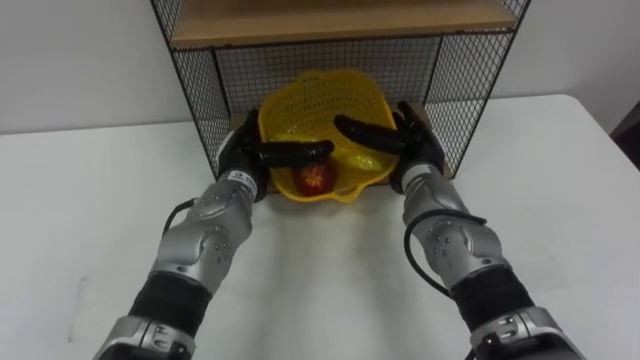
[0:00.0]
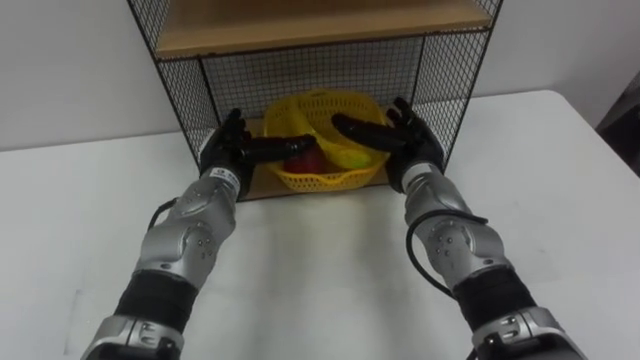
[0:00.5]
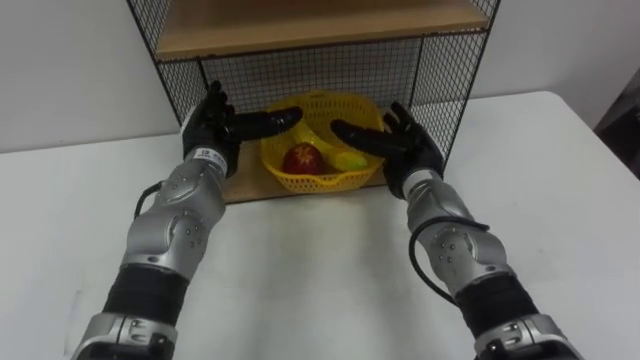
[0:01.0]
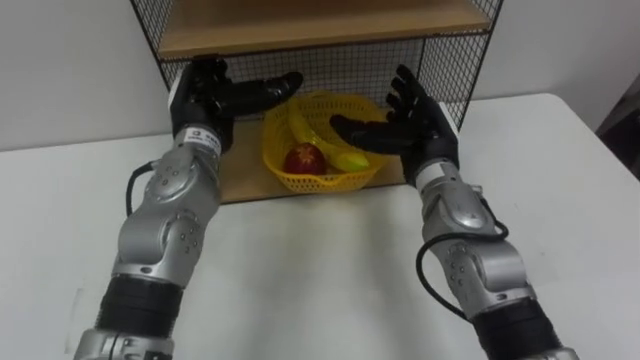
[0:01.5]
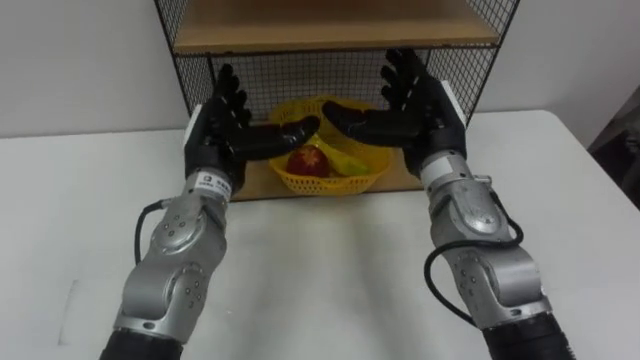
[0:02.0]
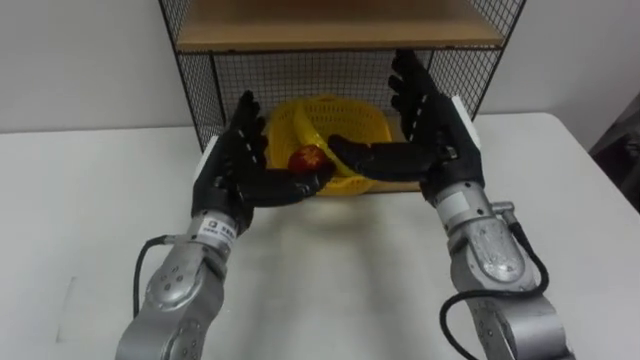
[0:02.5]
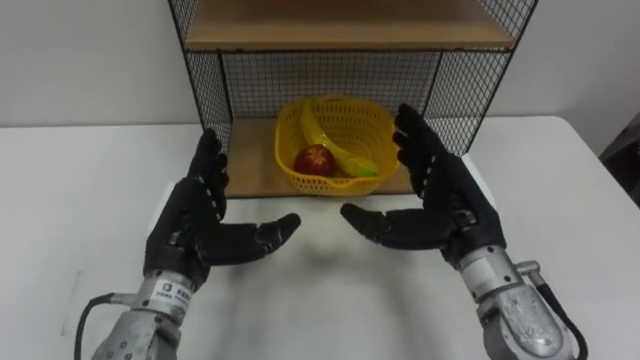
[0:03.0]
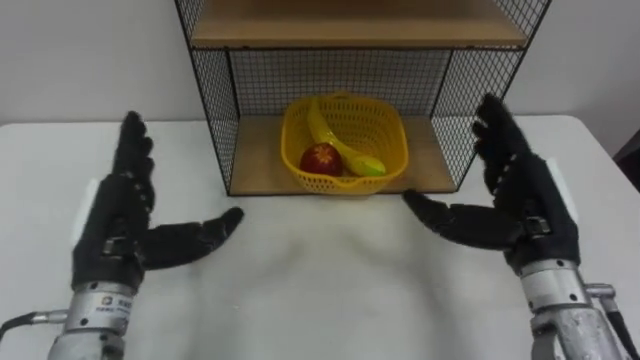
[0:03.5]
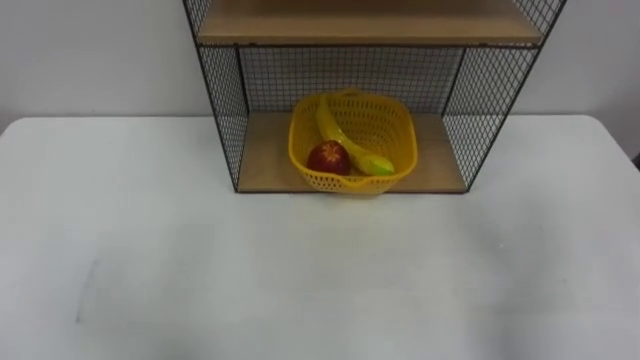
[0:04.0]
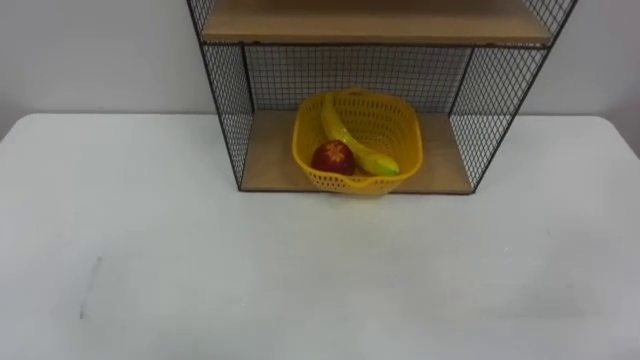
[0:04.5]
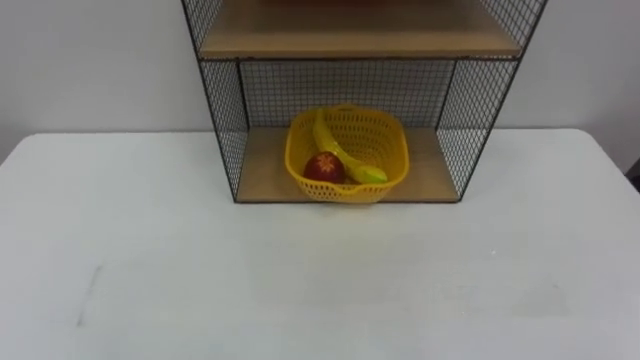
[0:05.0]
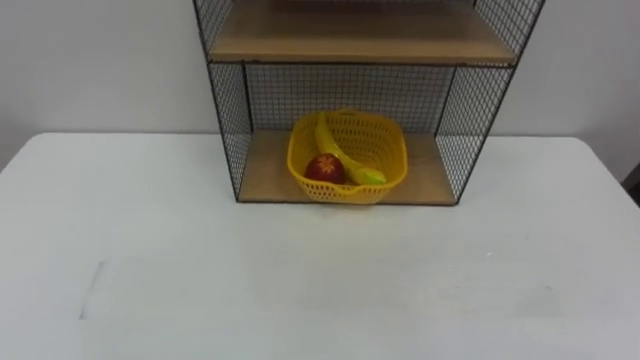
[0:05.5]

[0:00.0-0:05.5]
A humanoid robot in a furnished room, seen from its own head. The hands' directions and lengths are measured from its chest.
Task of the whole recording: Put the fruit on the table into the basket, then place the basket on the shelf.
0:00.0 to 0:02.0: Both hands move upward, about 5 cm.
0:02.0 to 0:03.5: The right hand goes about 15 cm backward and to the right; the left hand goes some 15 cm backward and to the left.

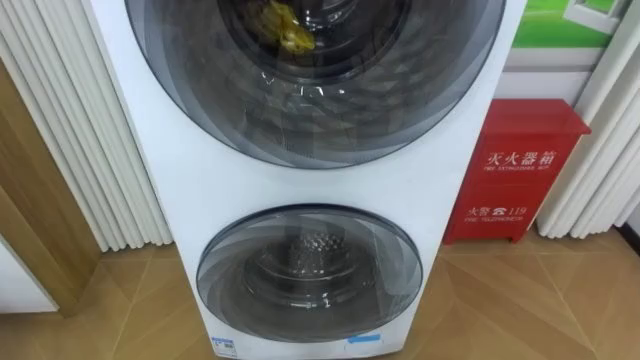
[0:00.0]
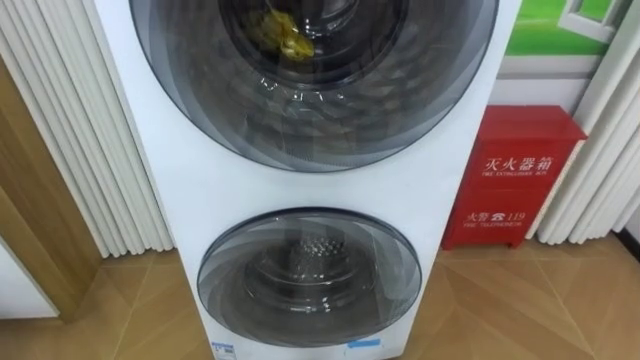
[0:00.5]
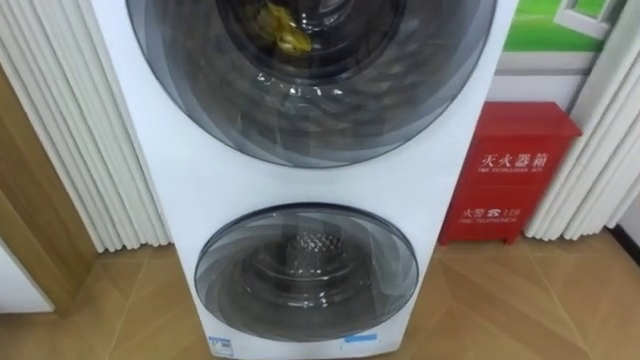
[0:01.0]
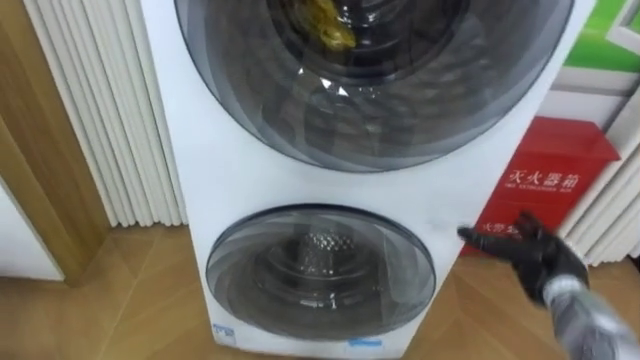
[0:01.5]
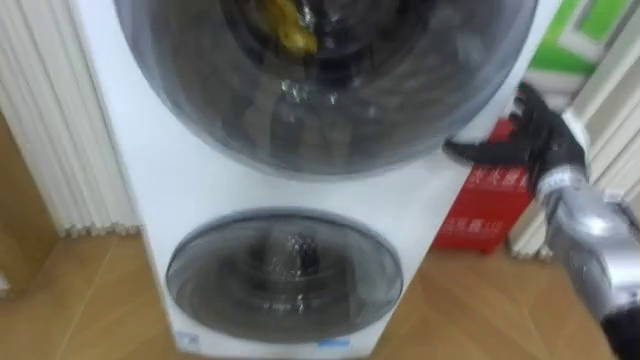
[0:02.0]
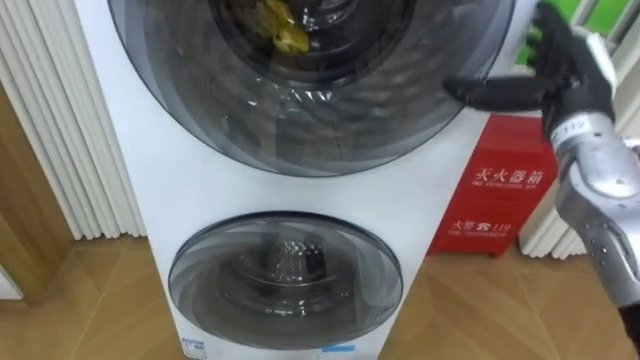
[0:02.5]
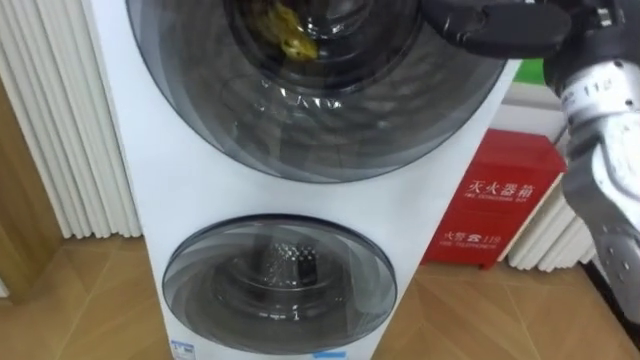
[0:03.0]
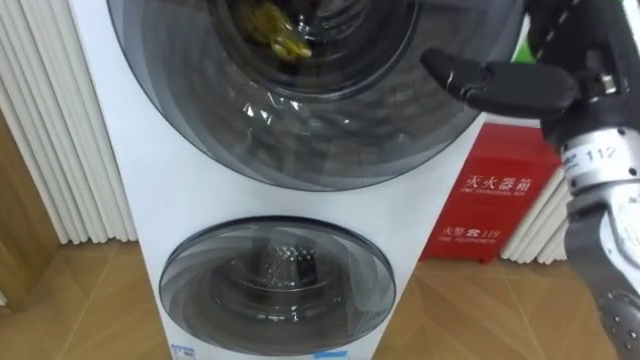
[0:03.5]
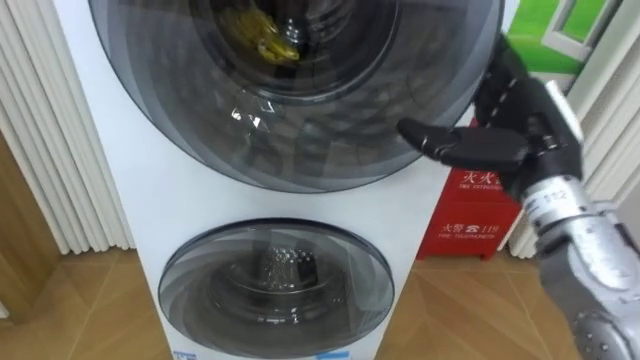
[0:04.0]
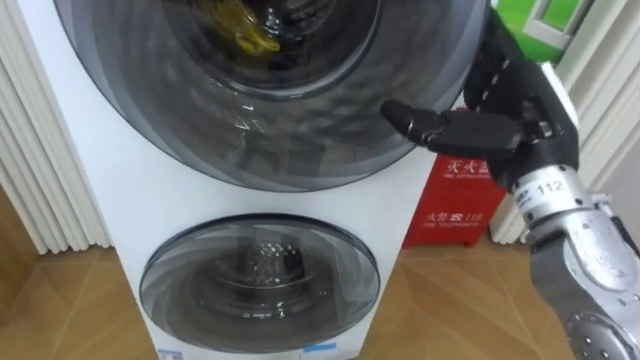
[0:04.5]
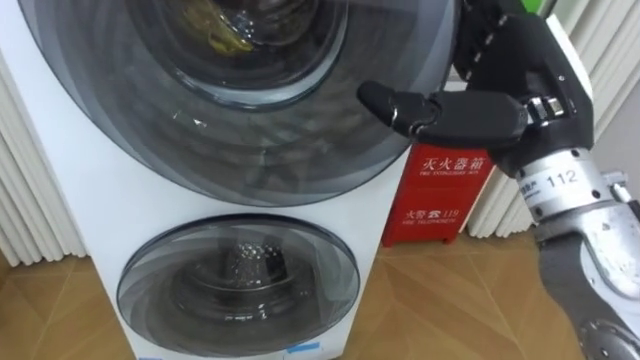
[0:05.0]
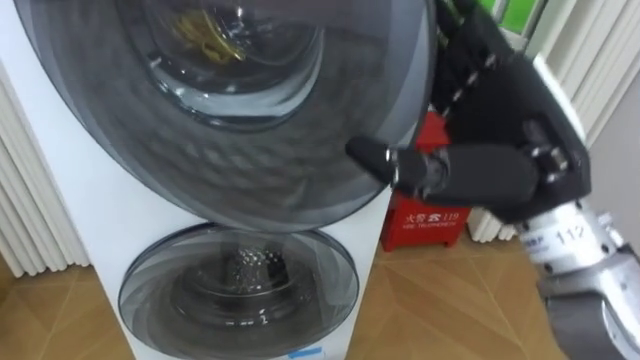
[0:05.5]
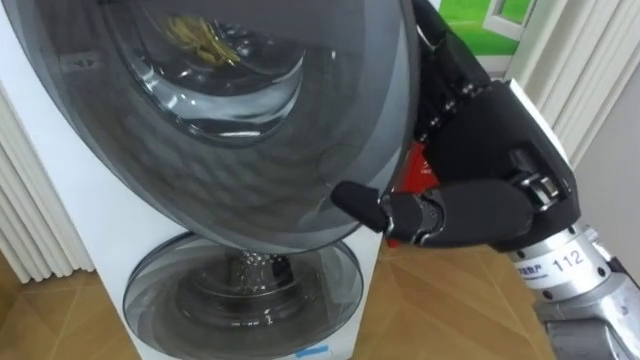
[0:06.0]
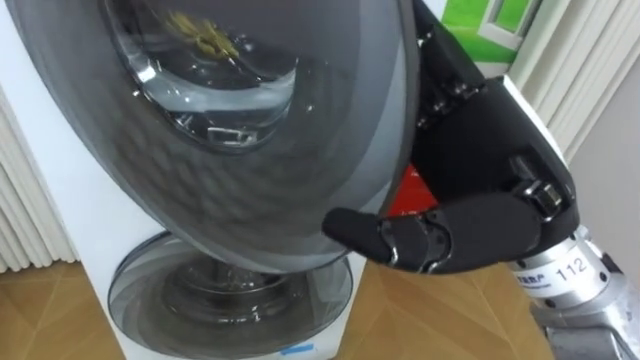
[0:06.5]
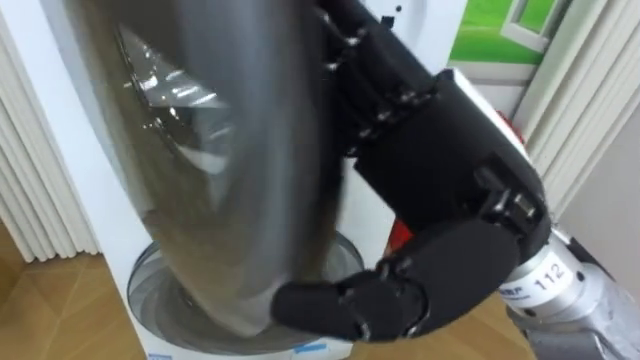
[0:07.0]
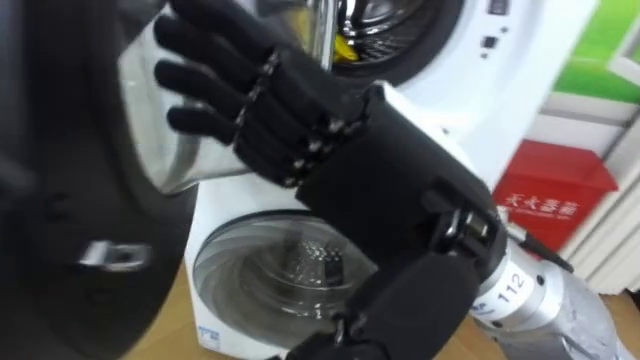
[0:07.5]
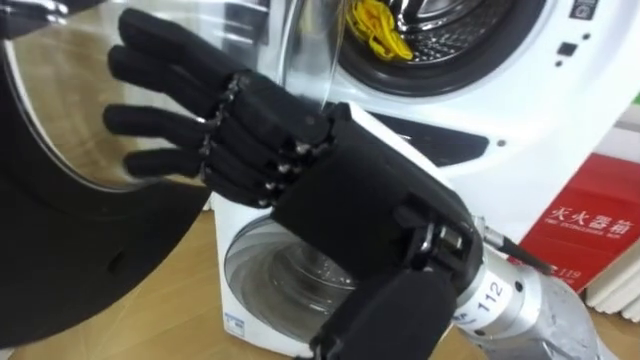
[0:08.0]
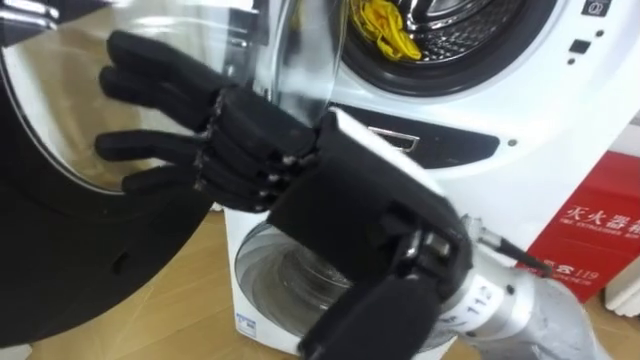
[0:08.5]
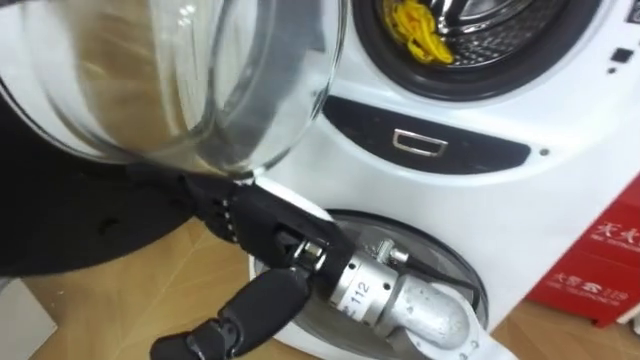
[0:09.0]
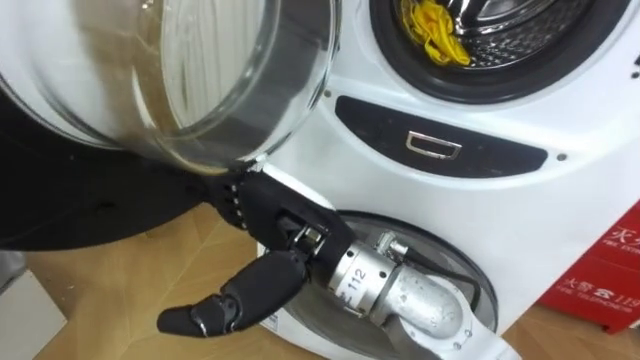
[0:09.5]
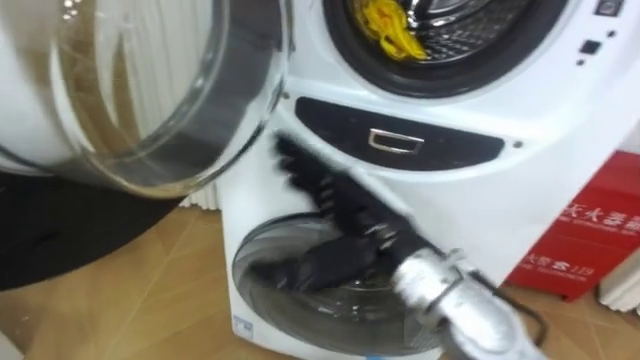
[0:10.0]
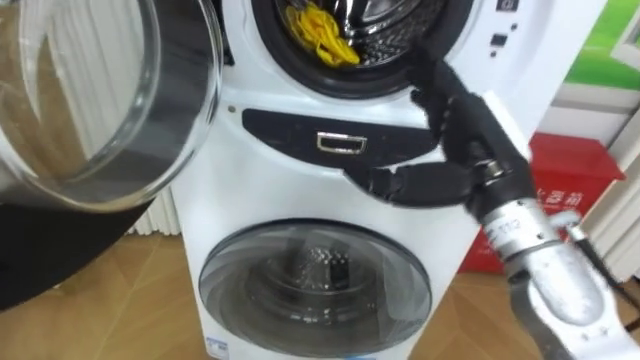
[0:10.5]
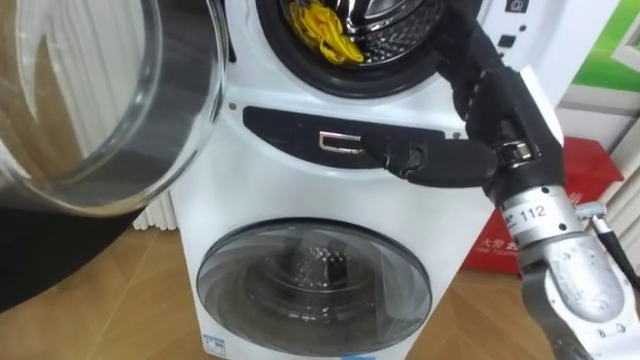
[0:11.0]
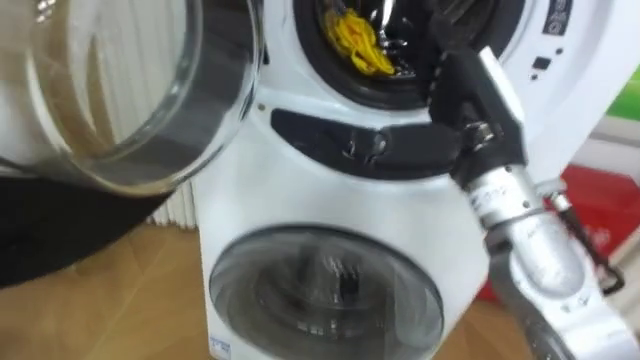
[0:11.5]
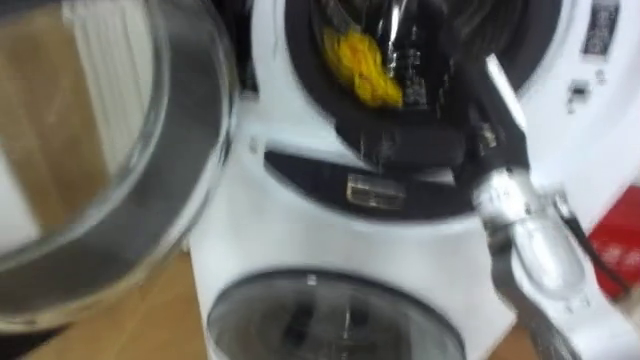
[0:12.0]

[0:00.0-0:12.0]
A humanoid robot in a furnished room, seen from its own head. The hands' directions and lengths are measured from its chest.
Task of the whole recording: Open the washing machine door, take out the yellow clothes, place them in the box on the right, and close the washing machine door.
0:02.0 to 0:04.0: The right hand shifts roughly 10 cm upward, to the left and backward.
0:04.0 to 0:06.0: The right hand goes some 10 cm backward and to the left.
0:06.0 to 0:08.0: The right hand is displaced to the left and backward by roughly 10 cm.
0:08.0 to 0:10.0: The right hand goes about 15 cm downward and forward.
0:10.0 to 0:12.0: The right hand moves to the right and upward, approximately 15 cm.

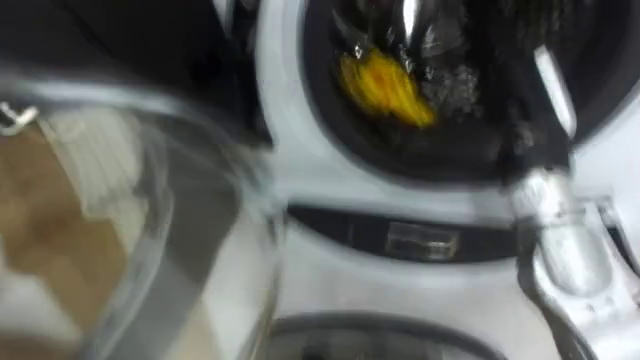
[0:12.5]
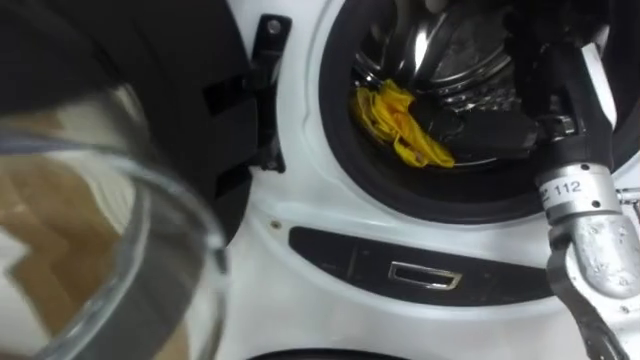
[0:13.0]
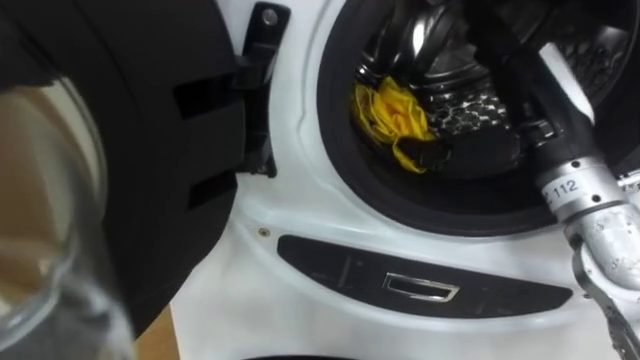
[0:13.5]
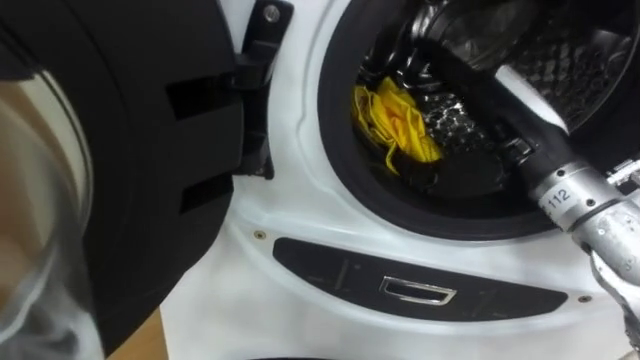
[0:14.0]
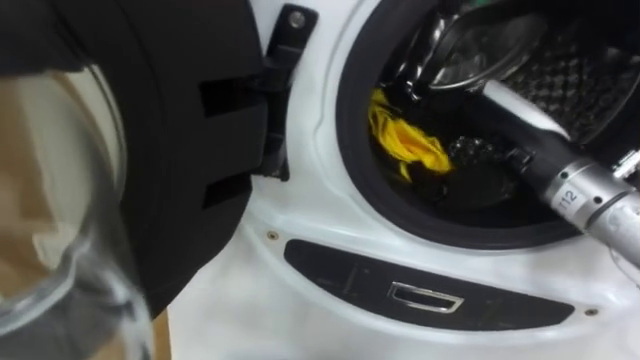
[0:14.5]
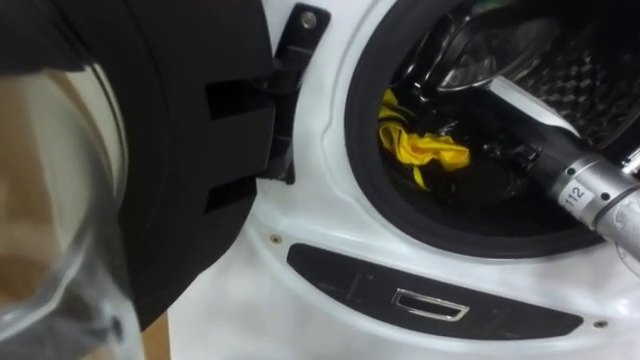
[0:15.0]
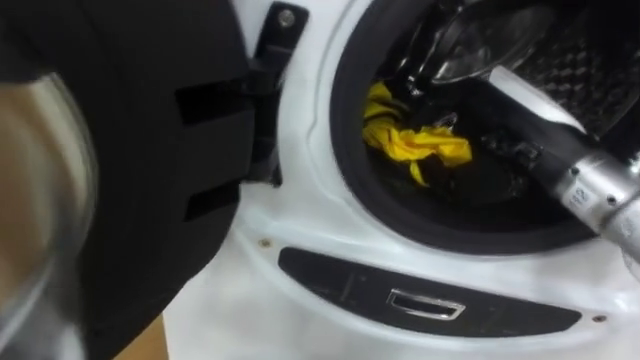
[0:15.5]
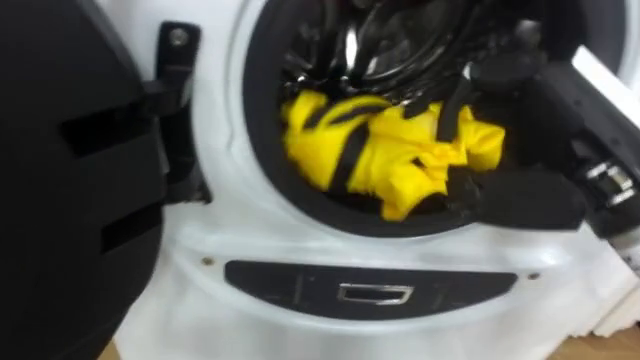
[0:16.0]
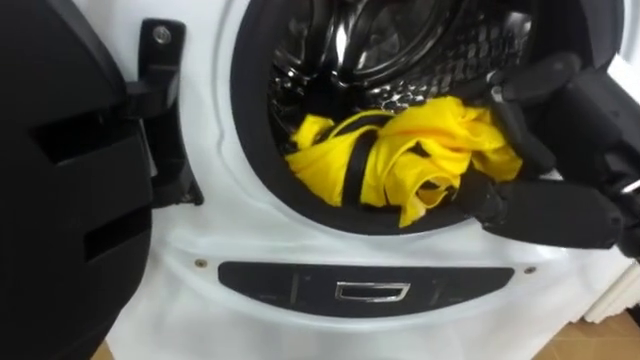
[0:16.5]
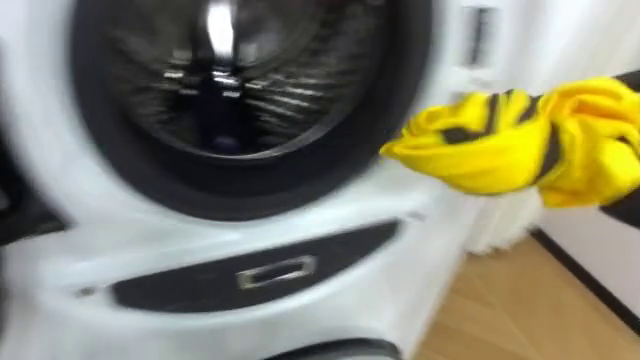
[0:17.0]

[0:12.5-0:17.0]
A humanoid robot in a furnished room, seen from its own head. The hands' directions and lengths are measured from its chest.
Task of the whole recording: Open the washing machine door, take out the yellow clothes, place them in the box on the right, and close the washing machine door.
0:12.5 to 0:14.5: The right hand closes.
